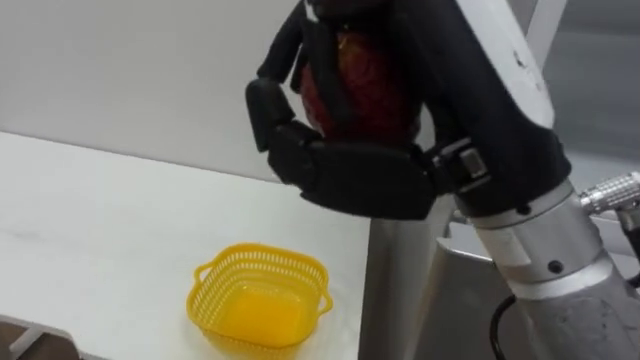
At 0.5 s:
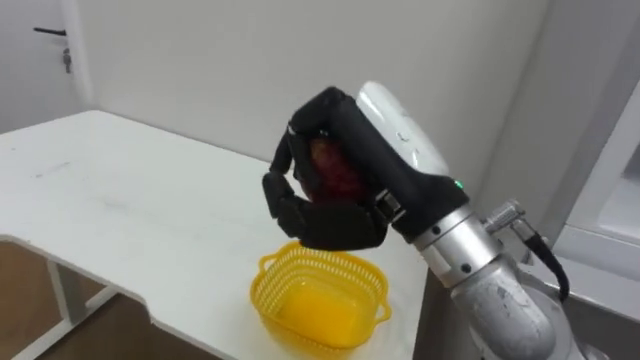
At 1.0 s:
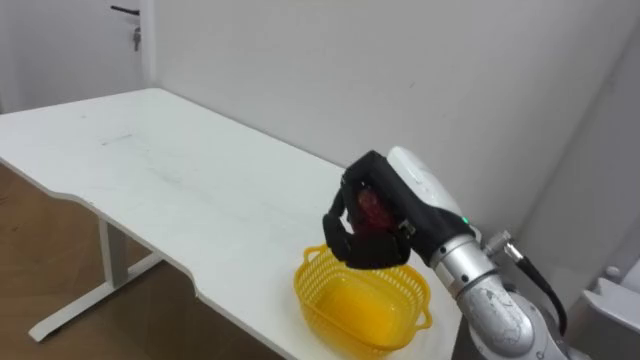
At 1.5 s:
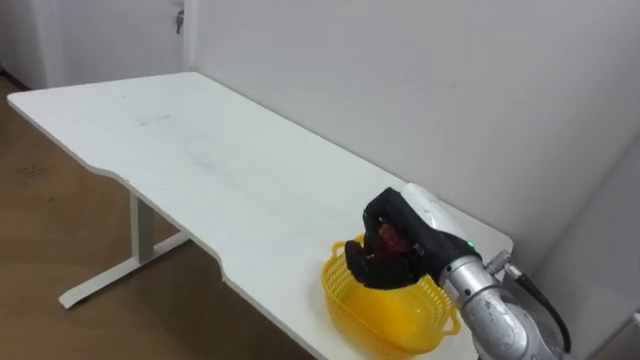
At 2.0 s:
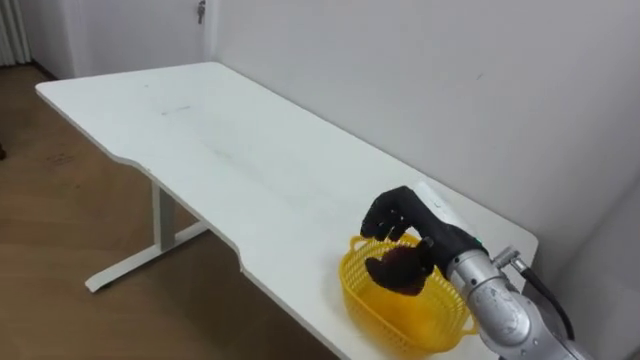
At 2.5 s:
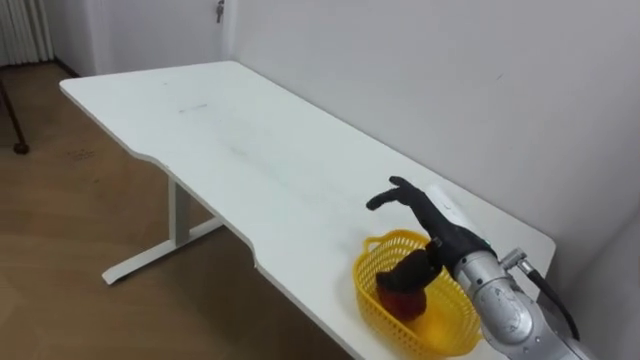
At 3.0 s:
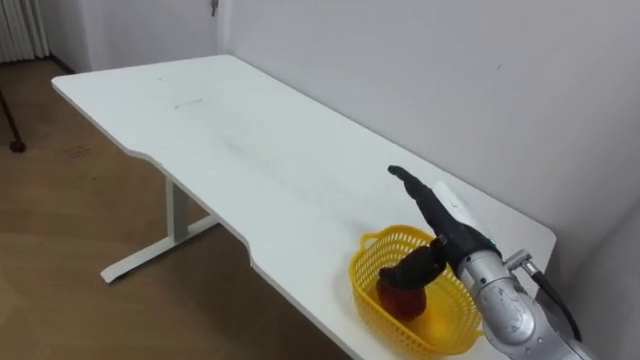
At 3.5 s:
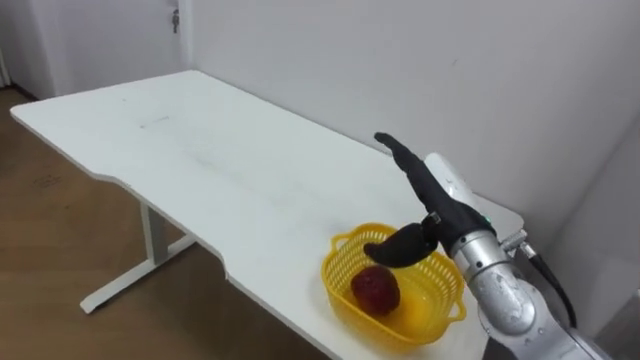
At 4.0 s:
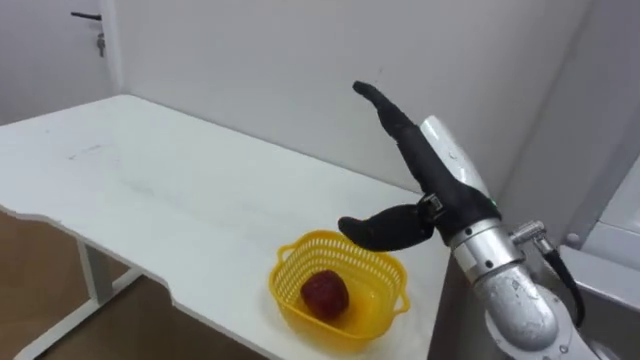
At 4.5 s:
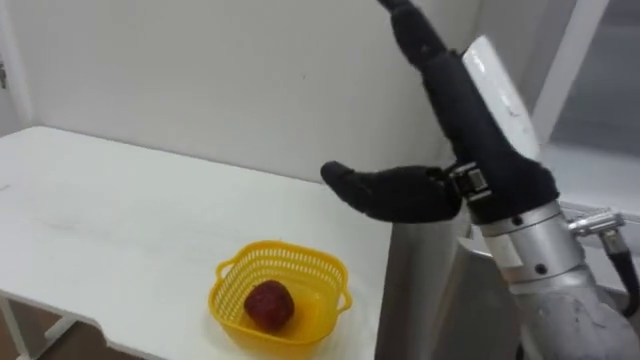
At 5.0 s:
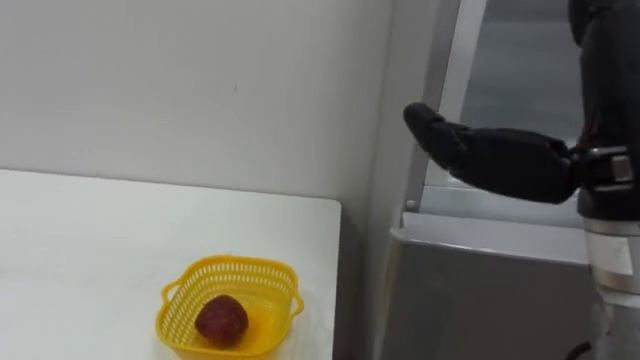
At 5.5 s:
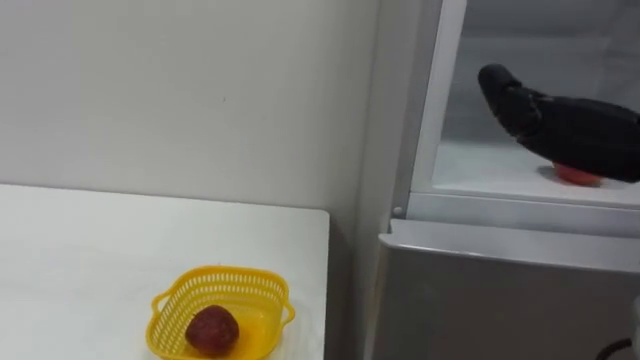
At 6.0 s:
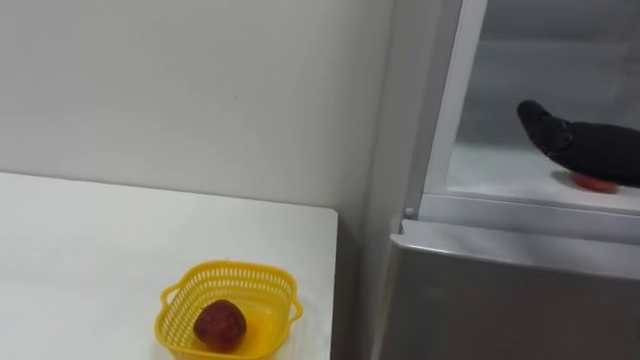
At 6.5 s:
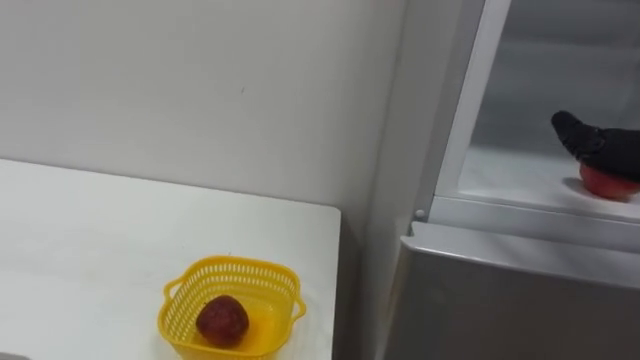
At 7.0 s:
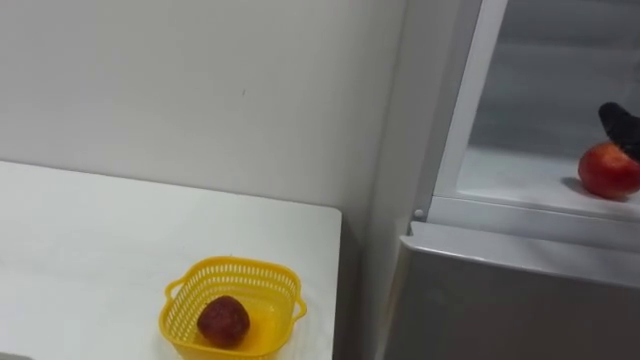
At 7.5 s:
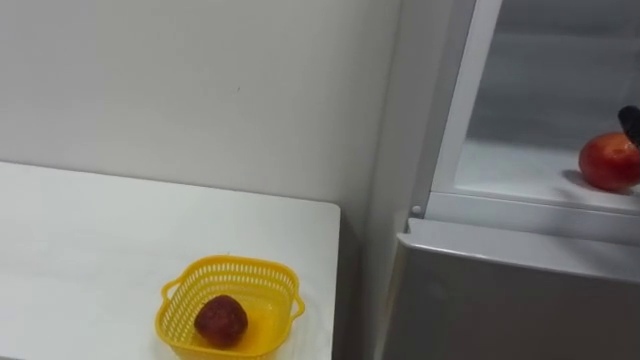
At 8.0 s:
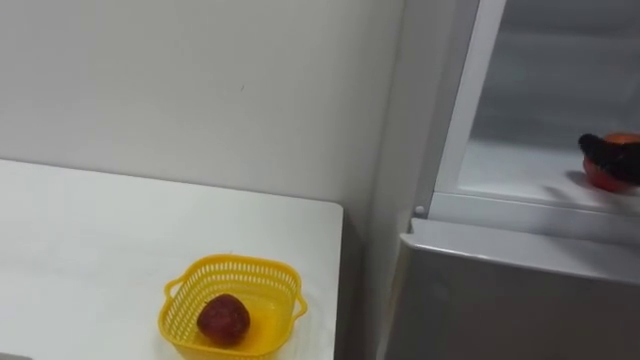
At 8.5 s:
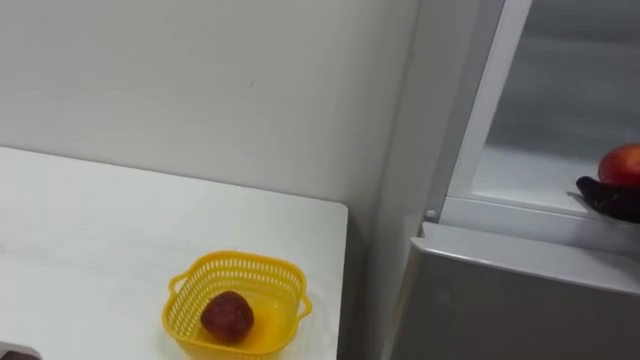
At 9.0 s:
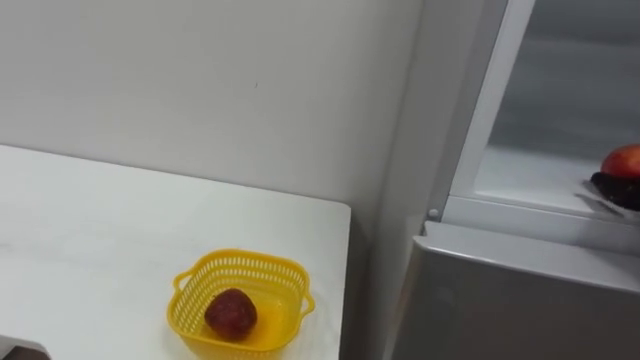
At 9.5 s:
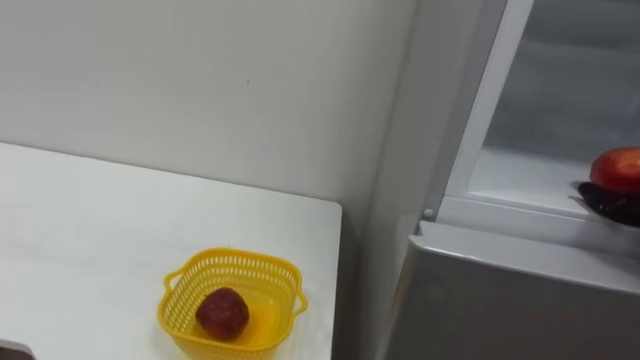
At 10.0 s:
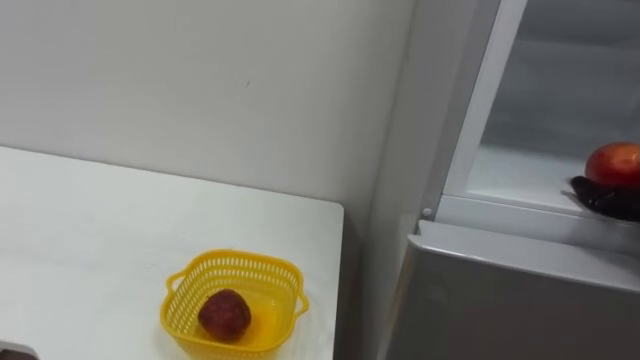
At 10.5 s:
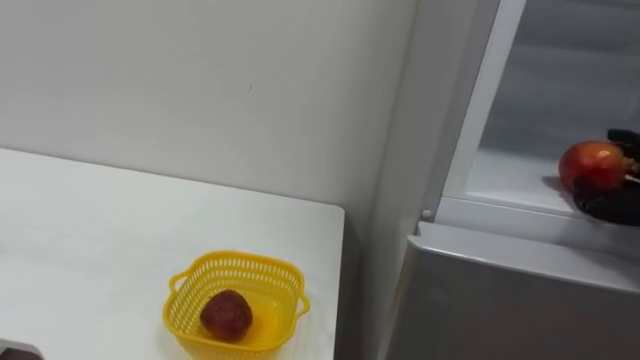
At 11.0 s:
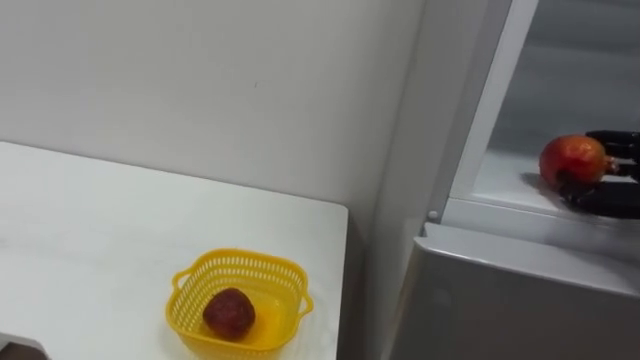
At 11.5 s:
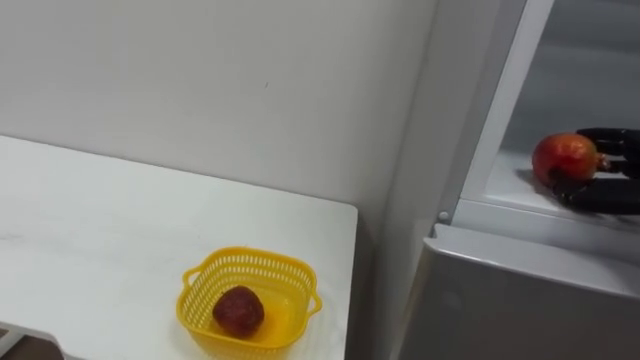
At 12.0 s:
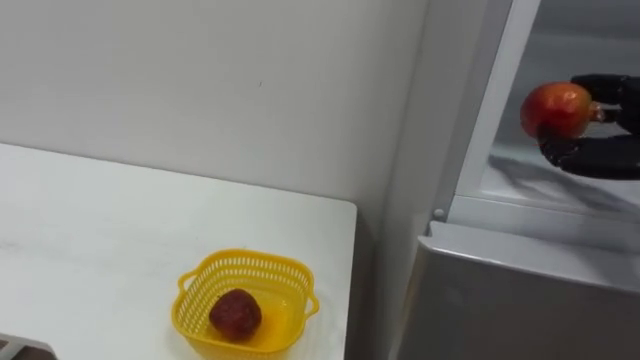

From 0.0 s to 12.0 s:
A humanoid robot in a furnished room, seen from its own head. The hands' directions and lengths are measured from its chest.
Task of the whole recording: Open the refrigerator door, take out the apple and the pomegranate, place them in the fruit basket on the left, and close the refrigerator door.
From 0.0 s to 2.0 s: The right hand is displaced downward and forward by about 30 cm.
From 2.0 s to 4.0 s: The right hand shifts roughly 10 cm upward, and opens.

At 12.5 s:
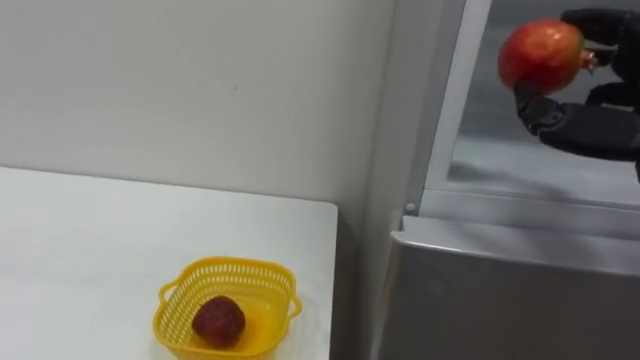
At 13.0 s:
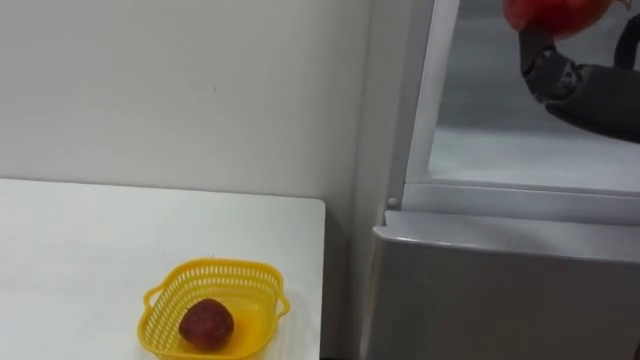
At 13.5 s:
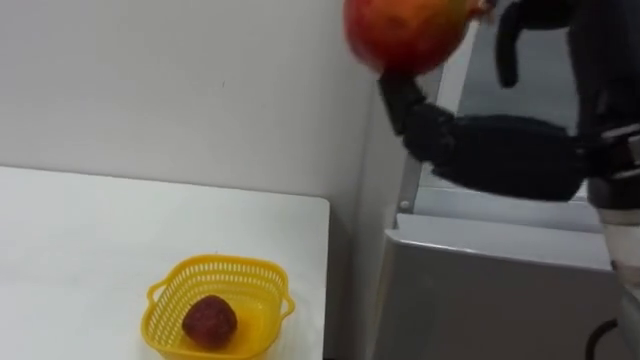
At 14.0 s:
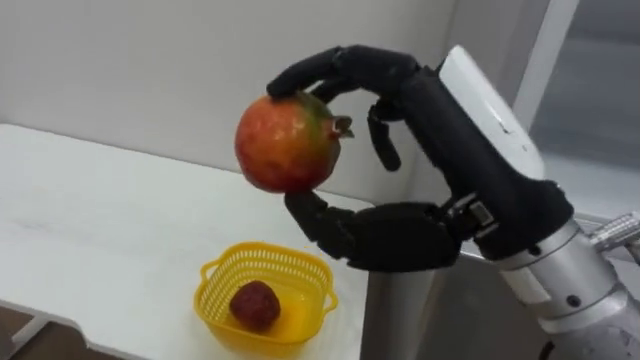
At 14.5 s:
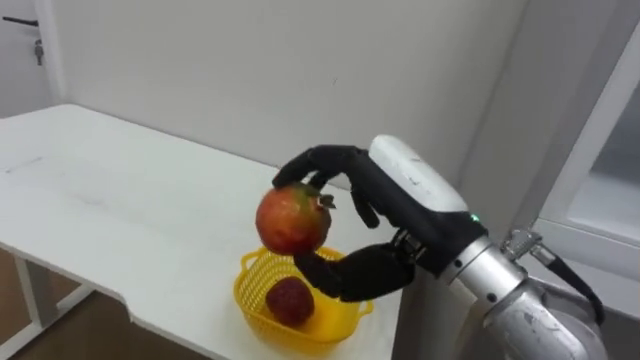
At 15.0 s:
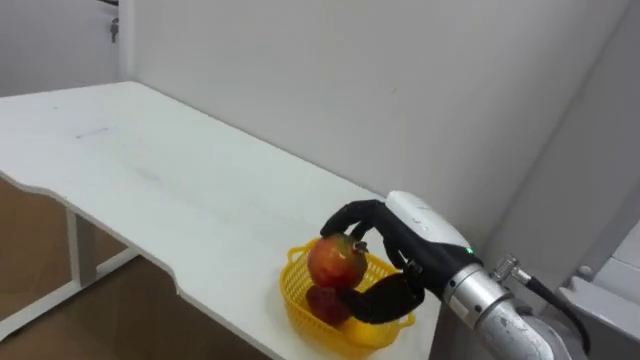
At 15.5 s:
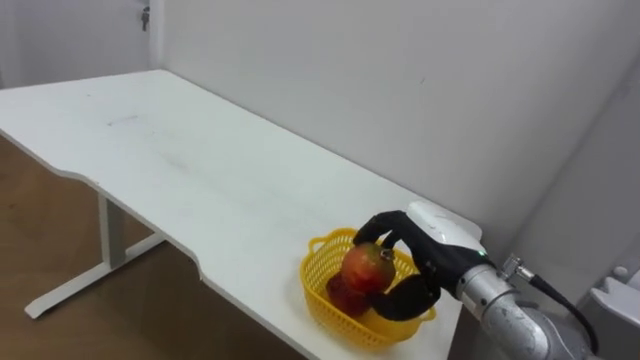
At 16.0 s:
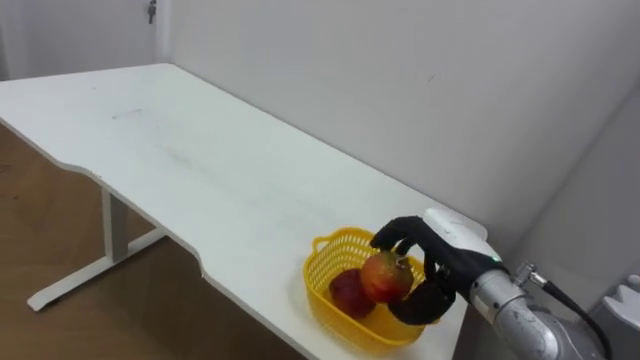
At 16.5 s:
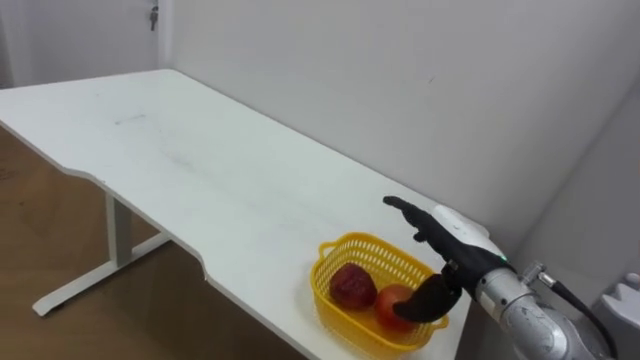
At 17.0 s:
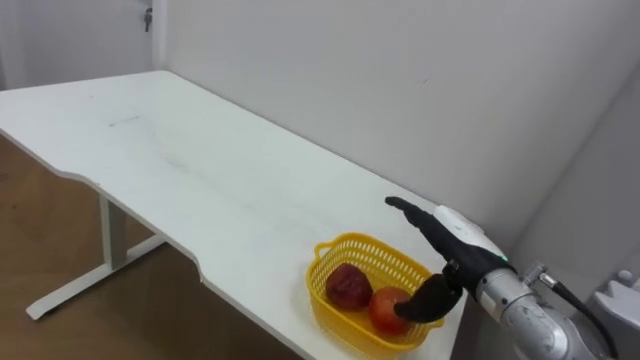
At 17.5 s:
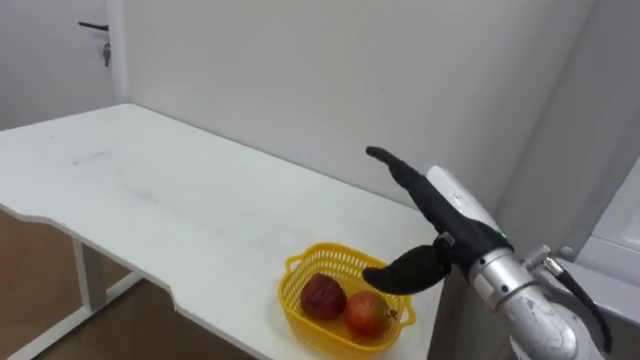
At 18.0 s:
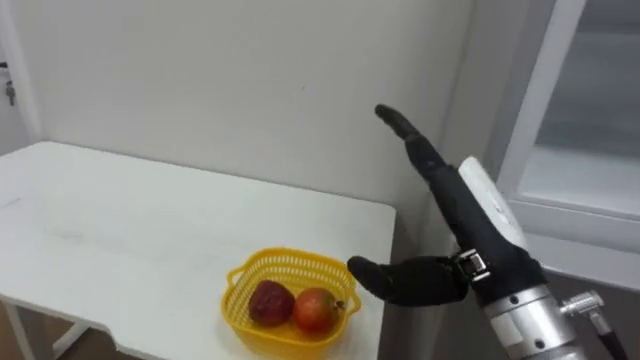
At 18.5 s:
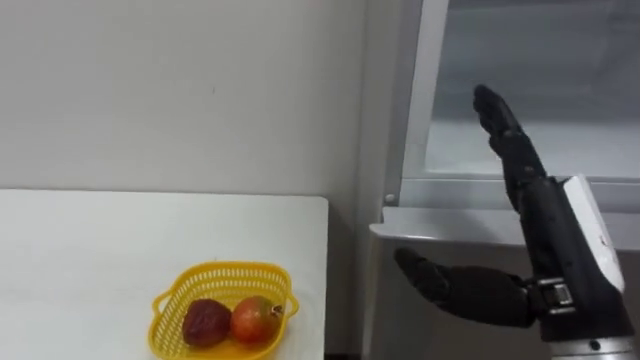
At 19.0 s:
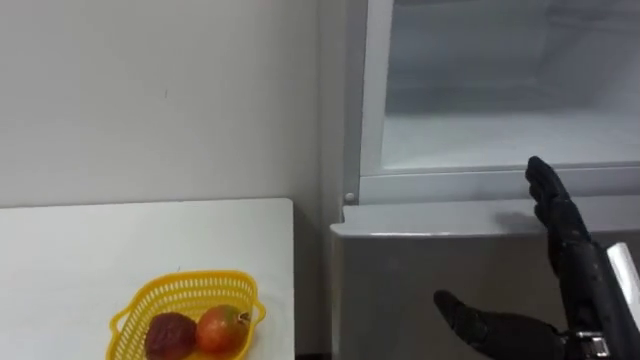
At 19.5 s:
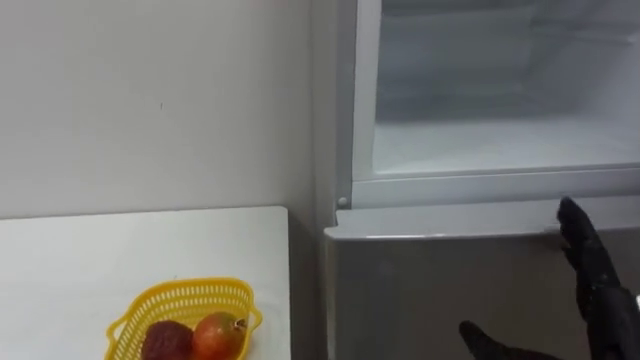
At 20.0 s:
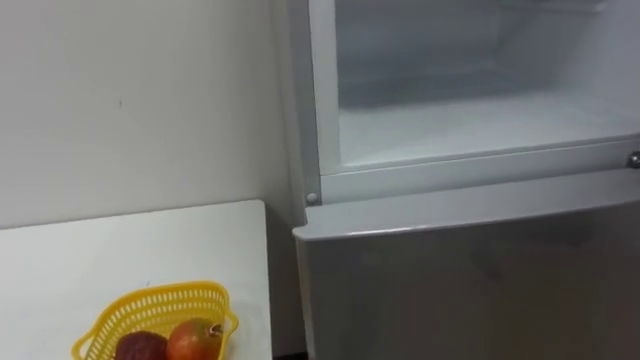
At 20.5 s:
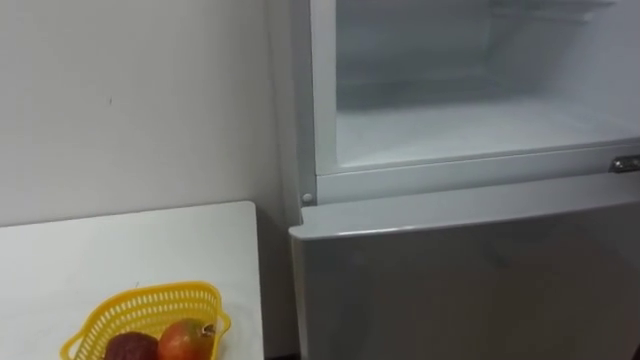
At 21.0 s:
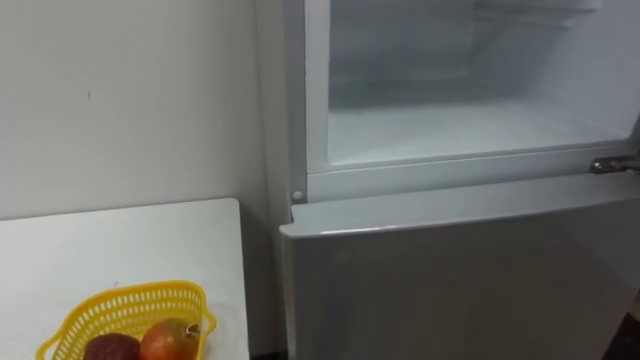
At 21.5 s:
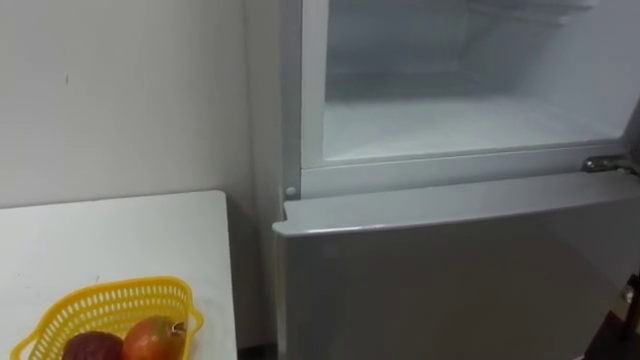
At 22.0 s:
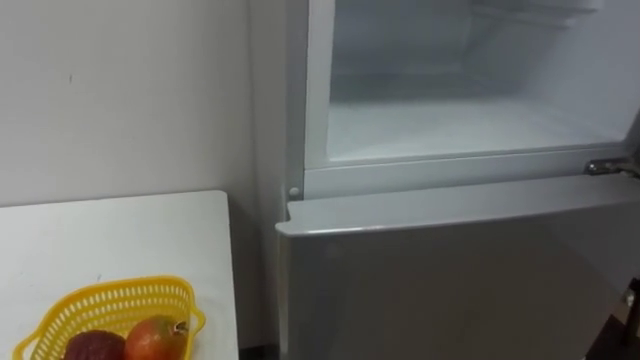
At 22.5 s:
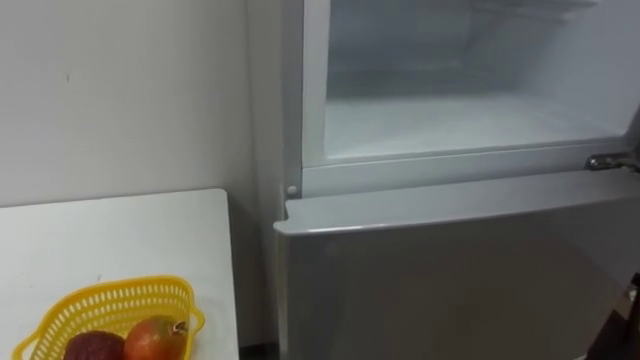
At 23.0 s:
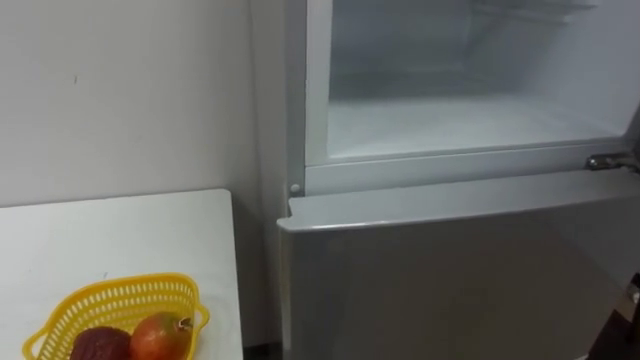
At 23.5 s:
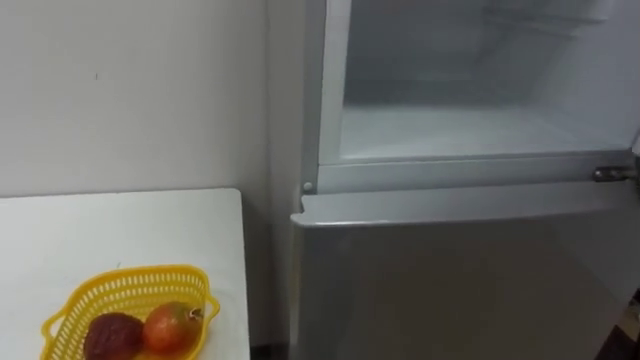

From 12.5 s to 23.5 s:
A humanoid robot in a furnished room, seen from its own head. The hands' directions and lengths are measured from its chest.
Task of the whole recording: Open the refrigerator door, take out the apple and the pomegranate, place them in the fruit basket on the left, and close the refrigerator door.
From 14.5 s to 16.0 s: The right hand shifts some 20 cm downward, forward and to the right.
From 16.0 s to 18.0 s: The right hand is displaced upward and backward by roughly 15 cm, and opens up.
